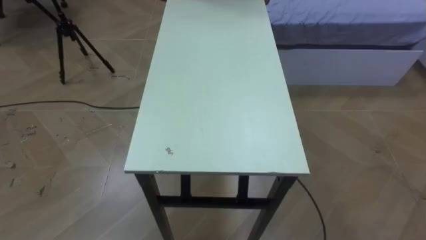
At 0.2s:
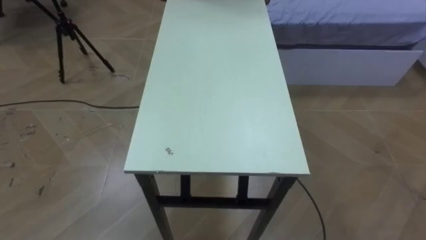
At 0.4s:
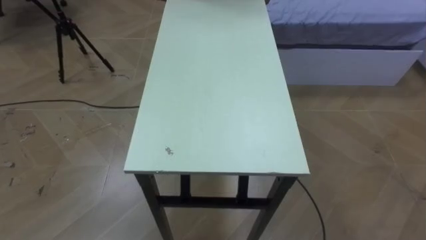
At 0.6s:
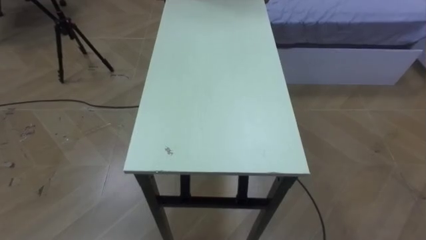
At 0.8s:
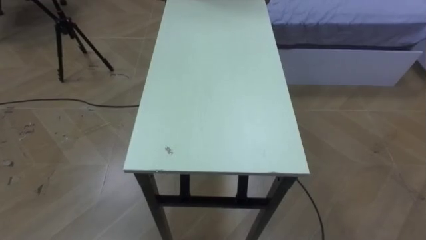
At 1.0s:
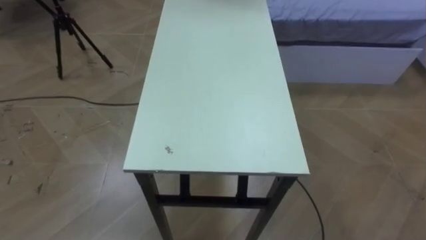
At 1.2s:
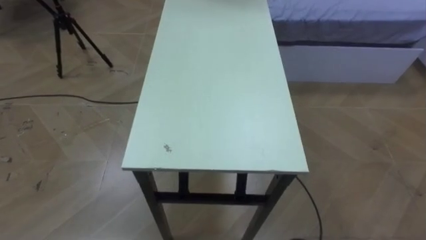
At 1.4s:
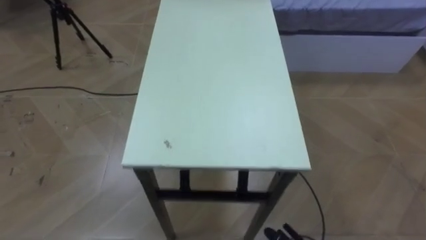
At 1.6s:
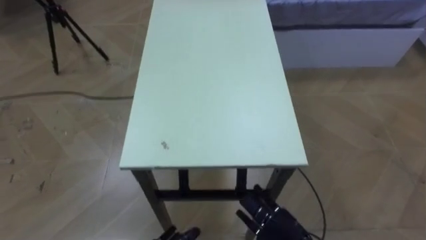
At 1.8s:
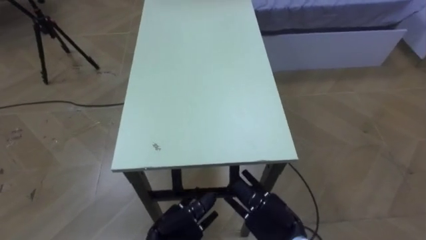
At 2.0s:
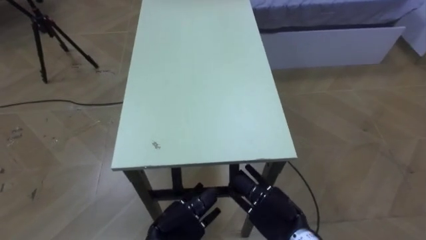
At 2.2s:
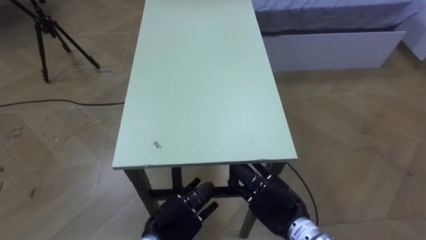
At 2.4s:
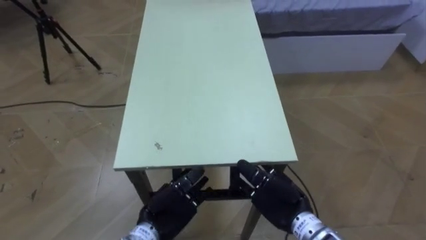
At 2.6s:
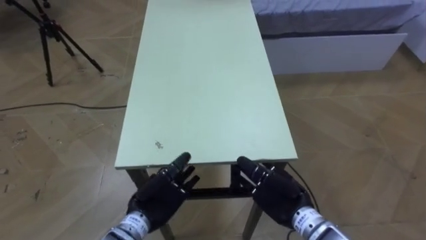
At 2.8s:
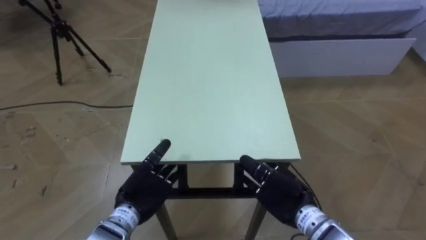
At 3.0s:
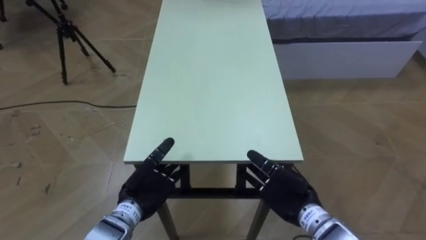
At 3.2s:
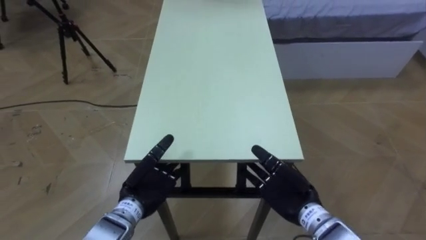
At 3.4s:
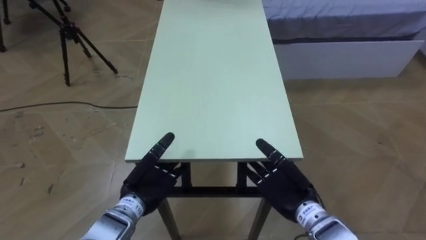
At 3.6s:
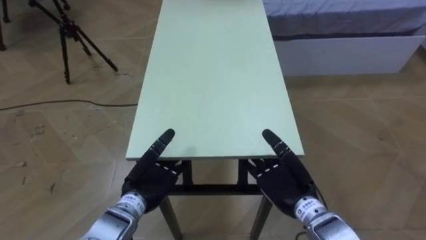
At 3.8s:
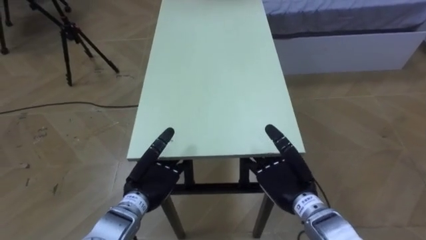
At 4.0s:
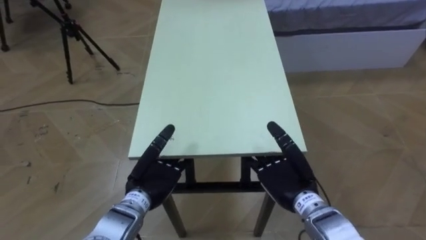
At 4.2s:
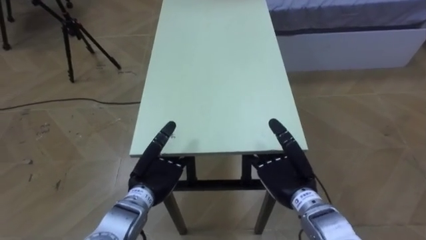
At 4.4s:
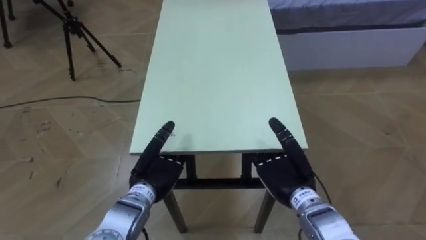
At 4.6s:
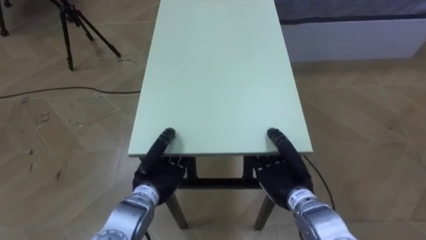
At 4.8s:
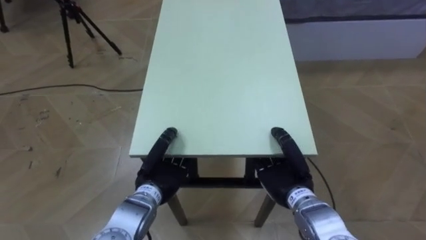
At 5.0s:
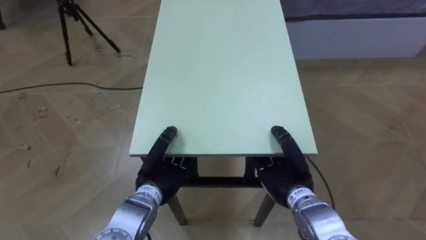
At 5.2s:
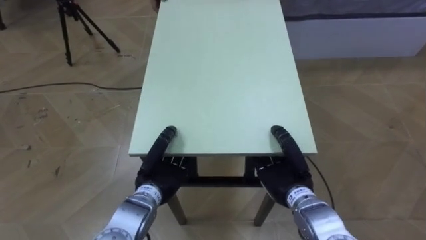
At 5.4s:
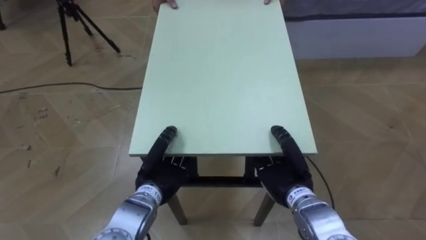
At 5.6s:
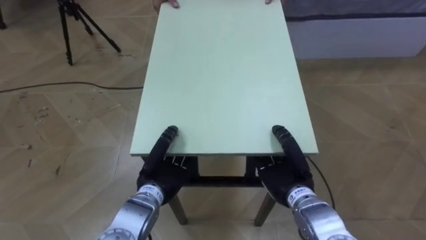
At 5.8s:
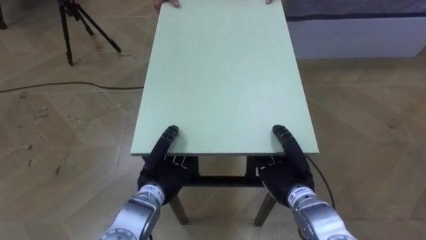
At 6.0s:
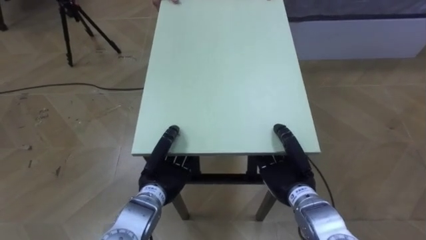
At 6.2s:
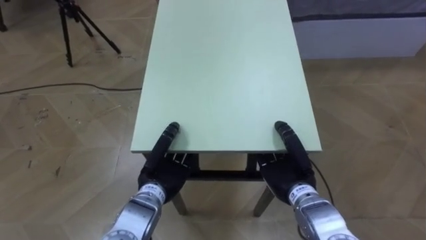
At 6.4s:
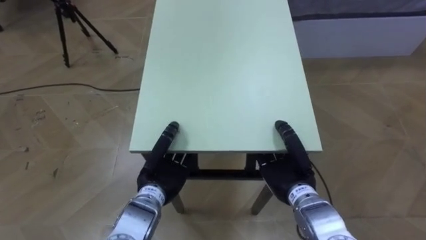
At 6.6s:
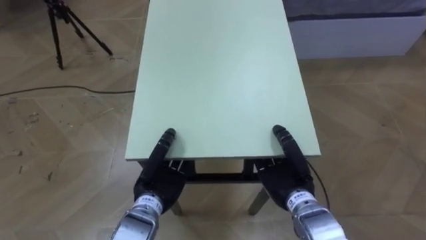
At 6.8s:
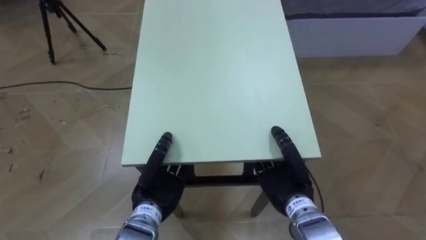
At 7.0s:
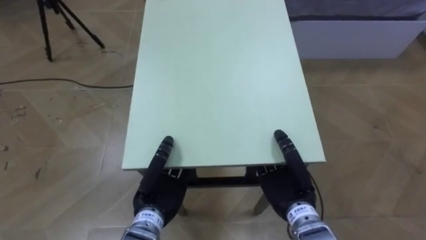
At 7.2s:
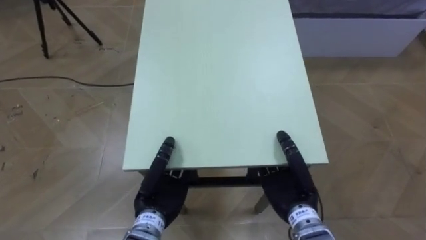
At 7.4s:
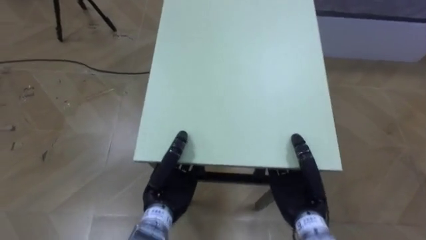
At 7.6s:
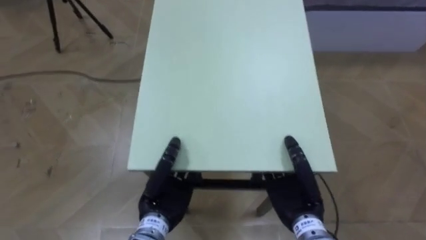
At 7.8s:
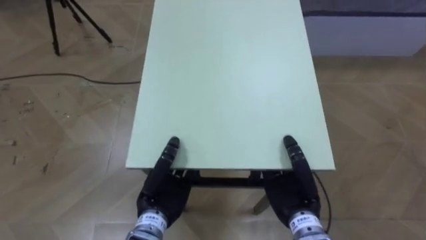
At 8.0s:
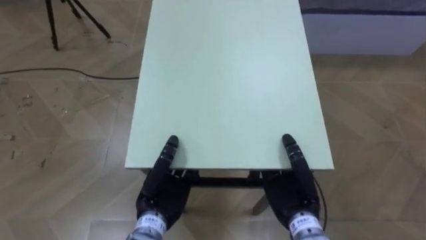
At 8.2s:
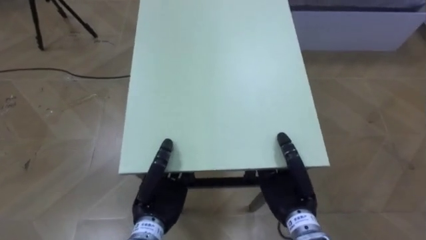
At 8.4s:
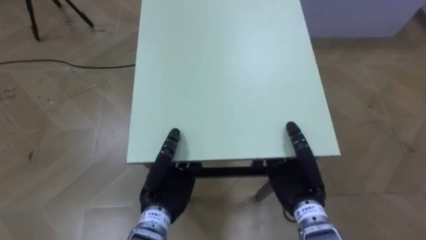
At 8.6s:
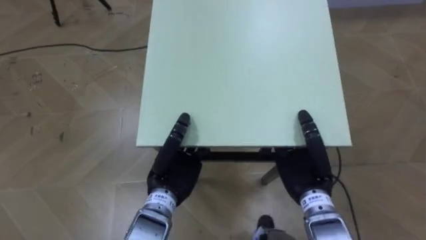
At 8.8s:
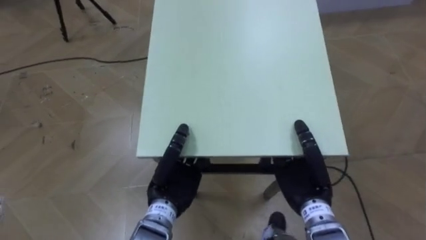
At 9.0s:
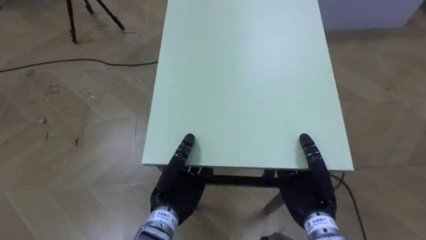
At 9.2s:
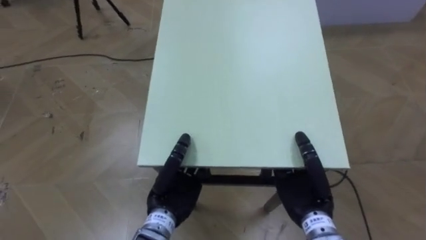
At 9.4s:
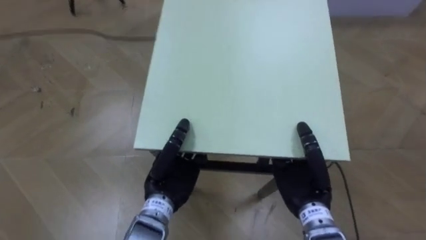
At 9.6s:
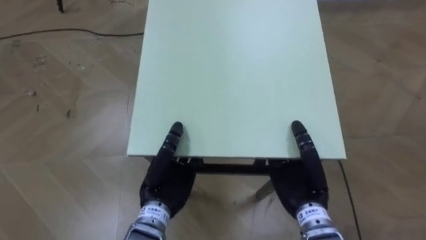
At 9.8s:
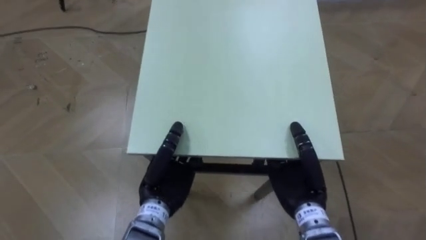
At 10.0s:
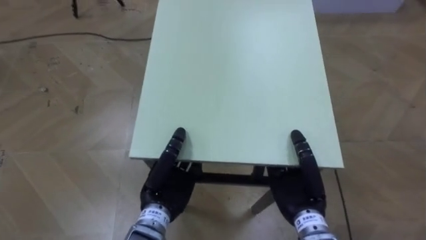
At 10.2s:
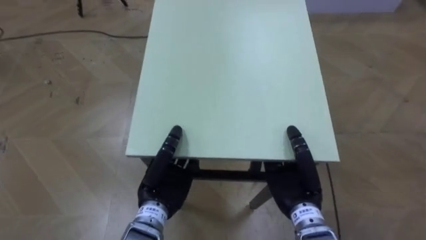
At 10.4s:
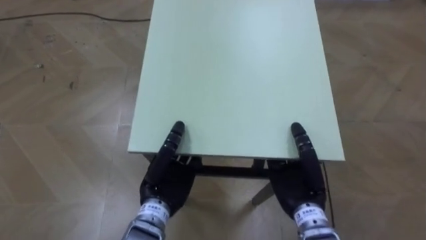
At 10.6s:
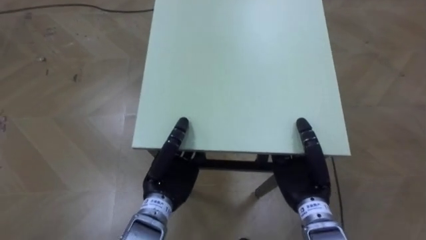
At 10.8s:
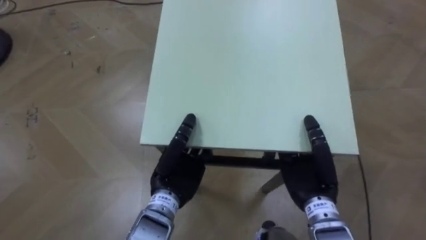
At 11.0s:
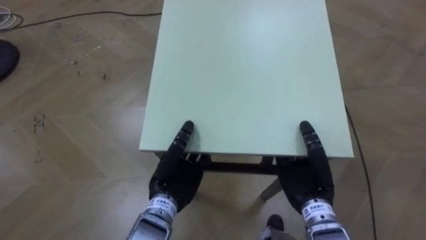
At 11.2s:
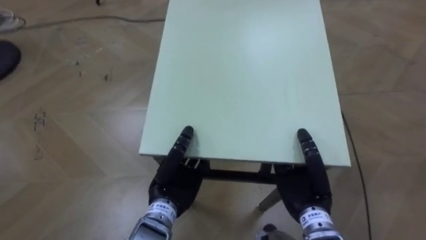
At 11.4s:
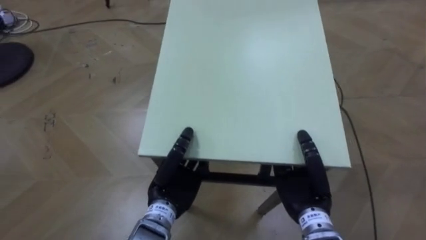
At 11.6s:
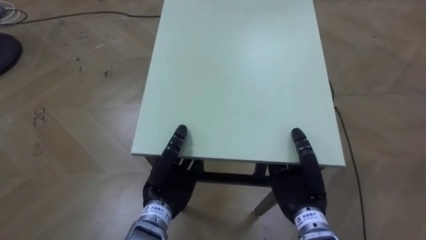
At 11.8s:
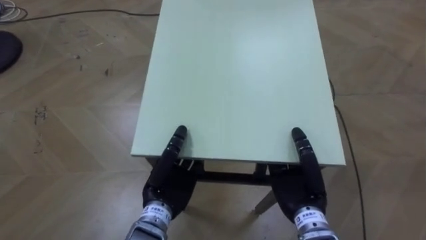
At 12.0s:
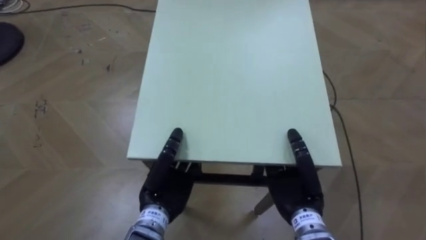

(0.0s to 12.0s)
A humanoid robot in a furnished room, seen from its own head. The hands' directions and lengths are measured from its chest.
Task of the whole recording: Move the table to the back left with someone.
1.6s - 3.0s: The right hand moves forward and upward, about 10 cm.
4.4s - 6.0s: The left hand closes.

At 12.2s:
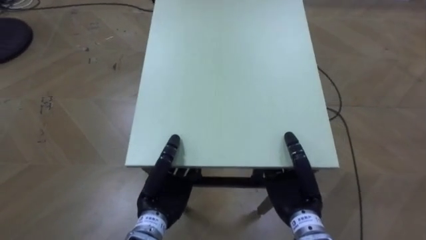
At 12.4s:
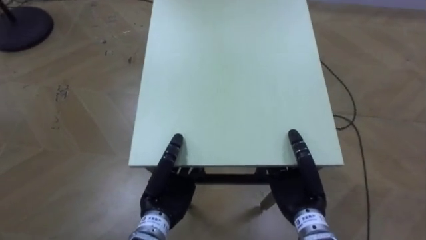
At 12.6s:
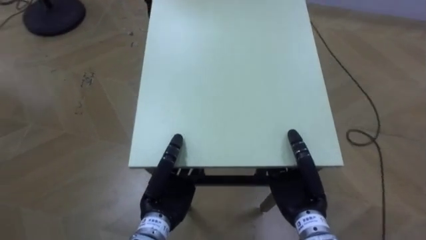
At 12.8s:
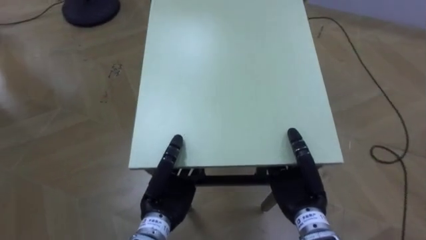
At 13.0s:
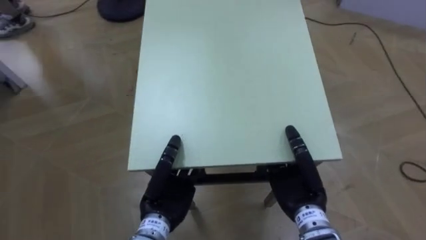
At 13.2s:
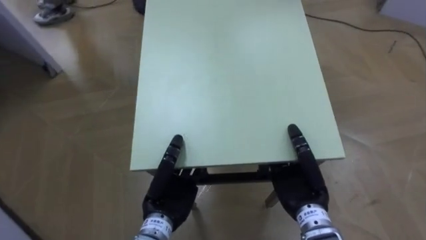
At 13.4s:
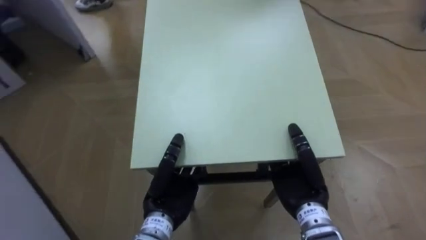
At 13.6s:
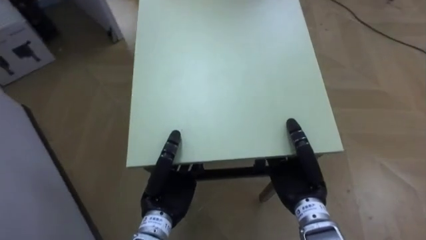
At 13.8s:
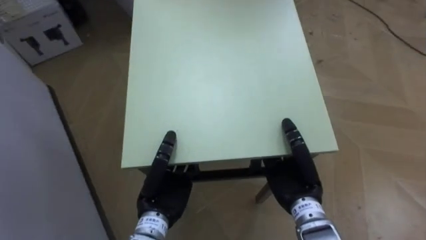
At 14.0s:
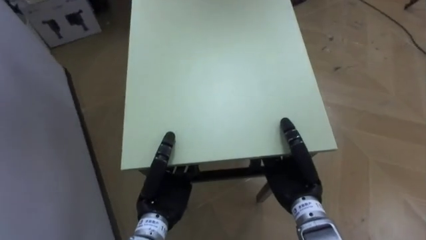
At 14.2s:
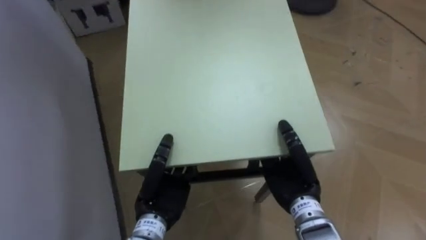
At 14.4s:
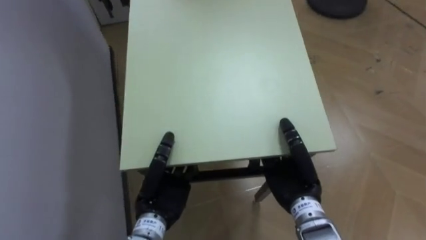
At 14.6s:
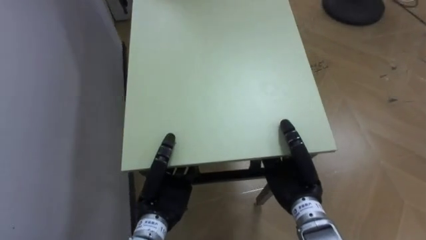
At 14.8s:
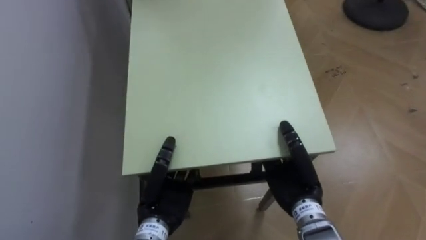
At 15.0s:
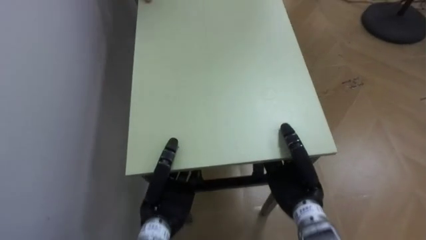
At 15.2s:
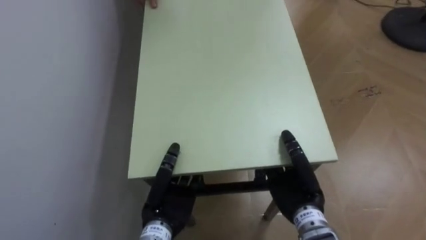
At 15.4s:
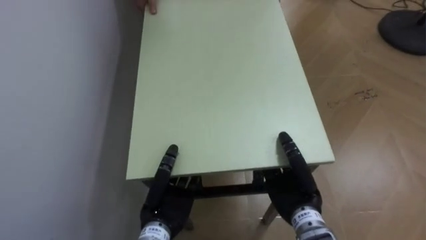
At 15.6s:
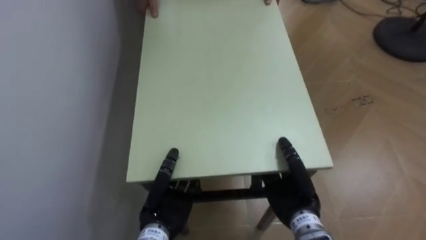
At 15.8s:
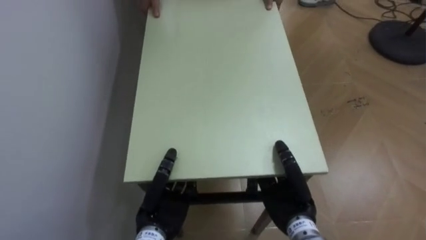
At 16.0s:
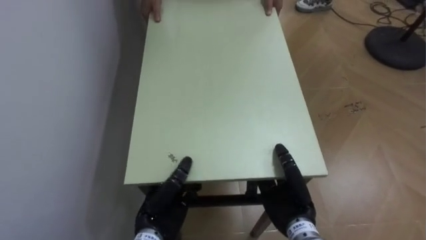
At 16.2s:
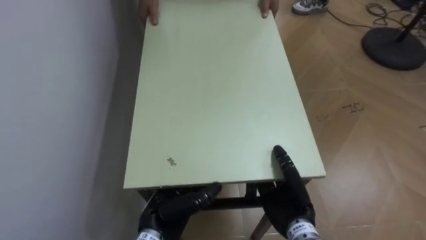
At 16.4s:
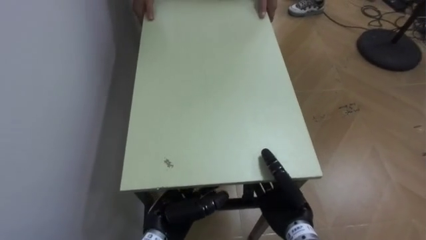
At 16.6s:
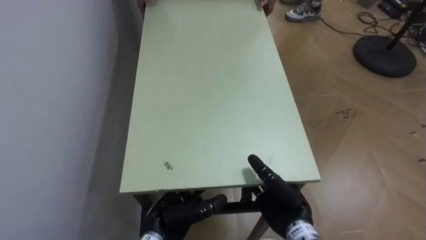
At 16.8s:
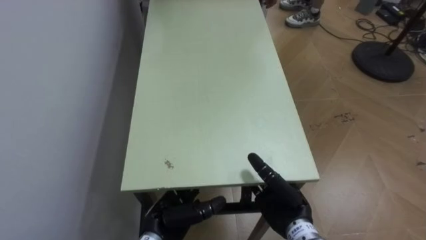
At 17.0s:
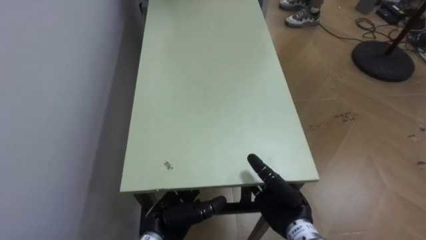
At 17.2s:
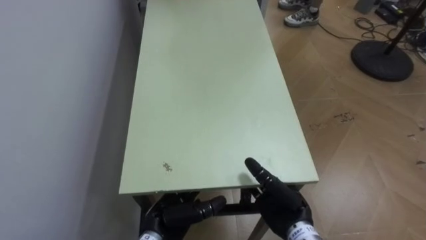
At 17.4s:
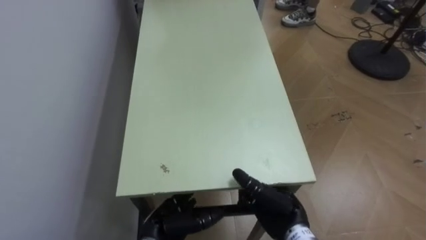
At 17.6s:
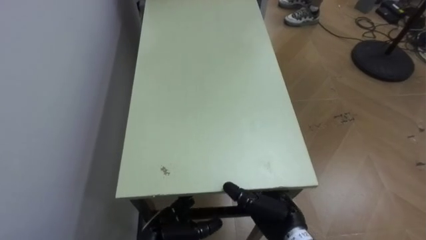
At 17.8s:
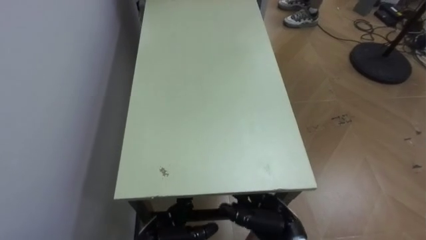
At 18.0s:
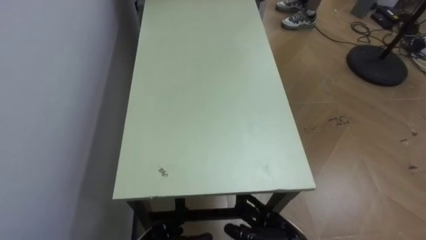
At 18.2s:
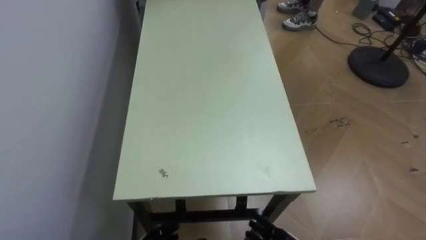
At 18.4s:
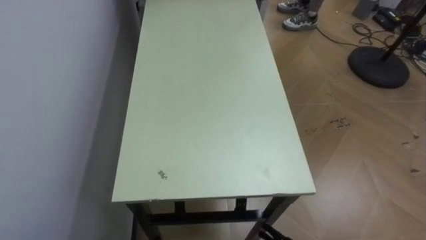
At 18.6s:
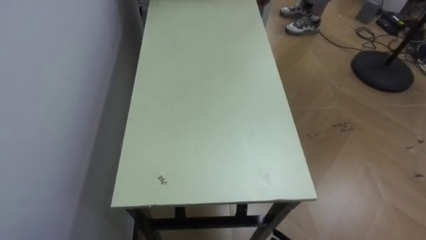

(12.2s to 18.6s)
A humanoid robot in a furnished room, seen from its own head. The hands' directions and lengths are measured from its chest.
Task of the whole recording: Move the table to the back left with someone.
12.2s - 13.8s: The robot's body swings approximately 50 degrees to its left.
13.8s - 15.4s: The robot's body swings about 35 degrees to its left.
15.4s - 17.0s: The left hand opens up. The right hand opens its fingers.
